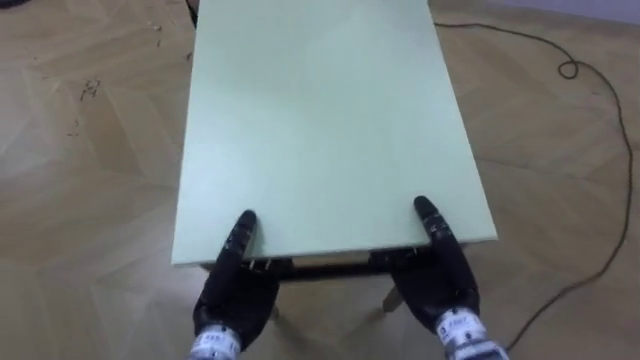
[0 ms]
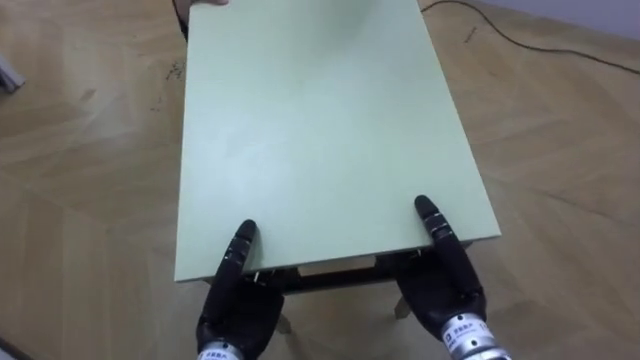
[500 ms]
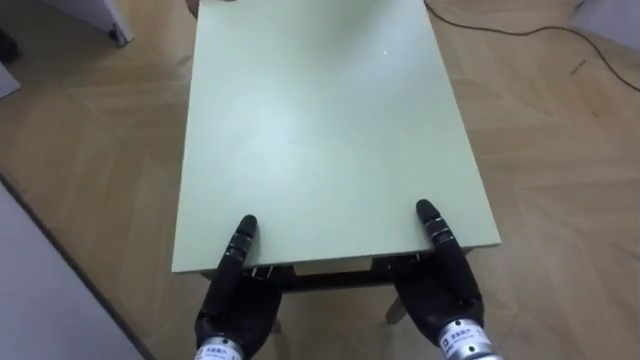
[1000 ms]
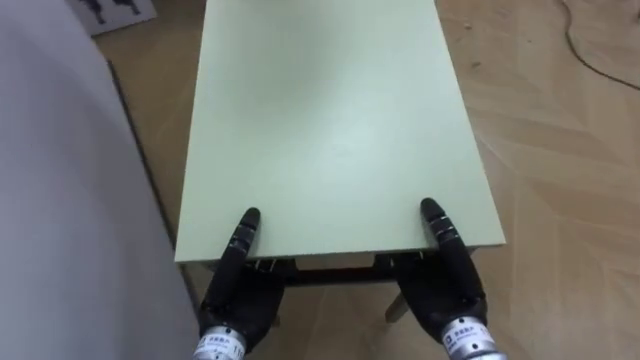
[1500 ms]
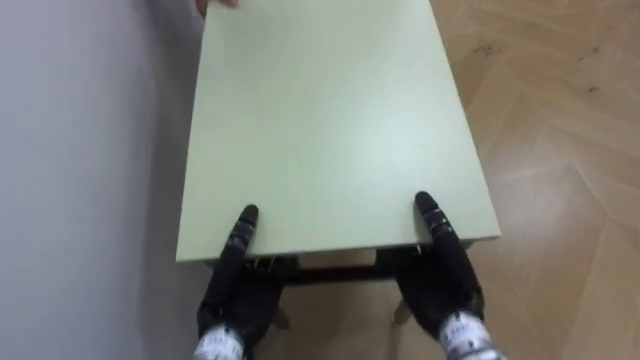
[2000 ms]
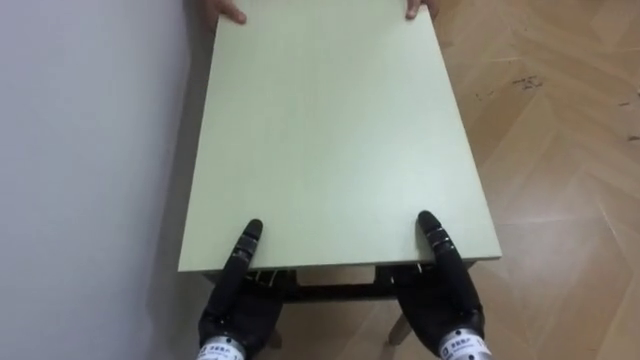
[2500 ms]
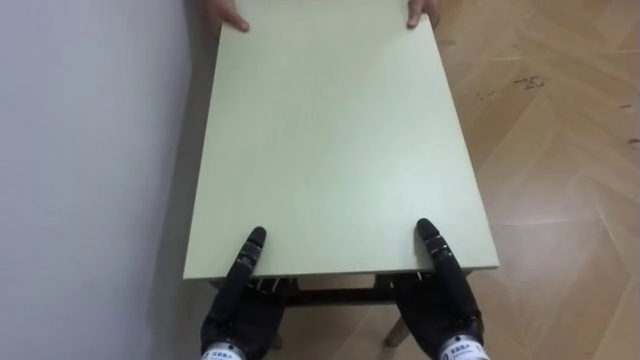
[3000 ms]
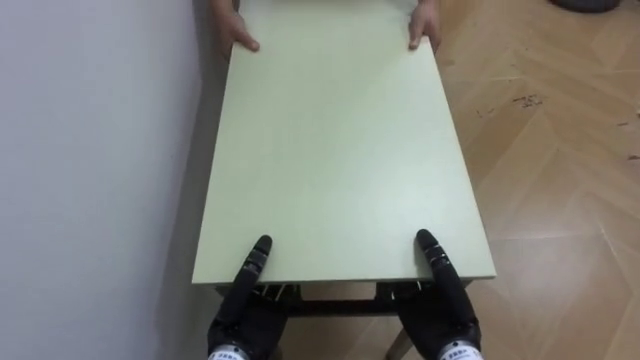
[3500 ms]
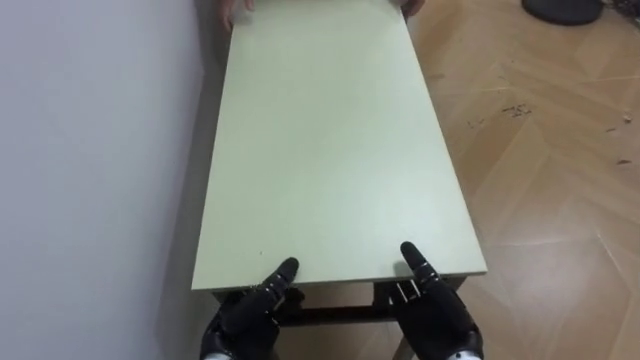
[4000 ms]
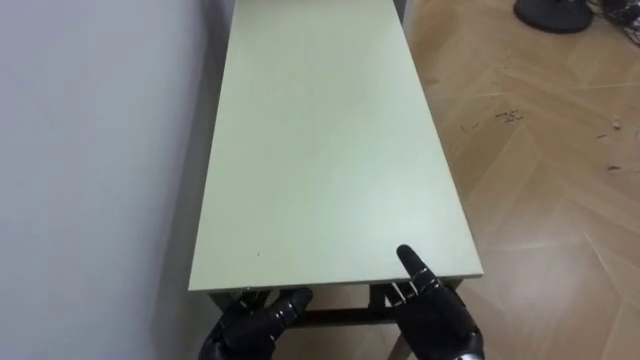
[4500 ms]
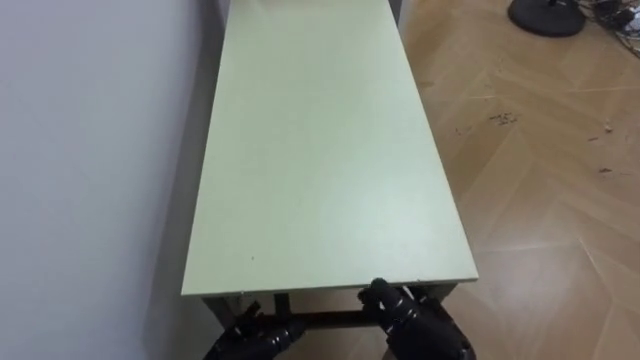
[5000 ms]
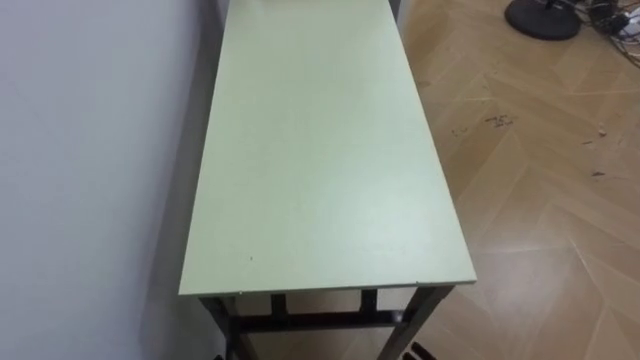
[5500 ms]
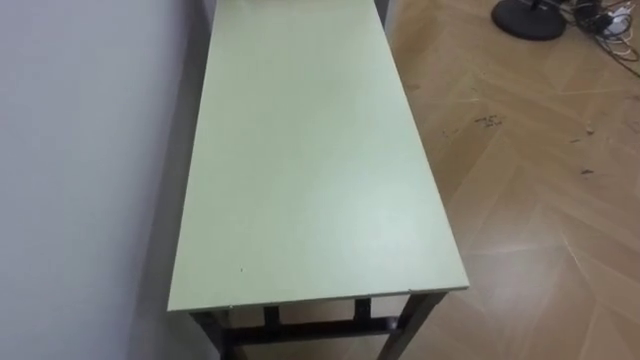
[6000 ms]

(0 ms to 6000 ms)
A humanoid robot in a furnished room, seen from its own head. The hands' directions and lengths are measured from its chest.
Task of the whole recording: Move the table to the back left with someone.
0 ms - 2000 ms: The robot rotates roughly 70 degrees to its left.
2000 ms - 4000 ms: Both hands travel together downward, roughly 5 cm. The right hand opens its fingers.

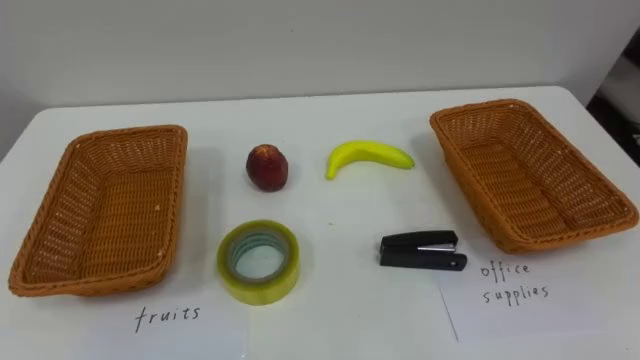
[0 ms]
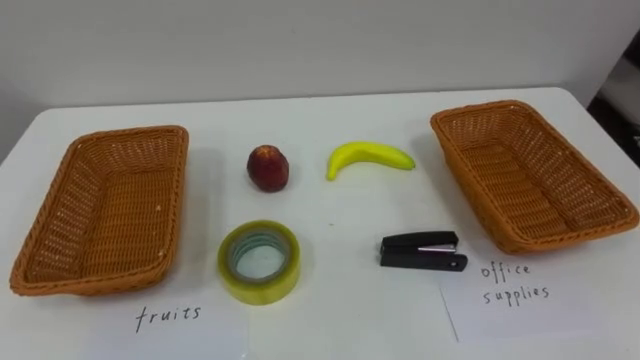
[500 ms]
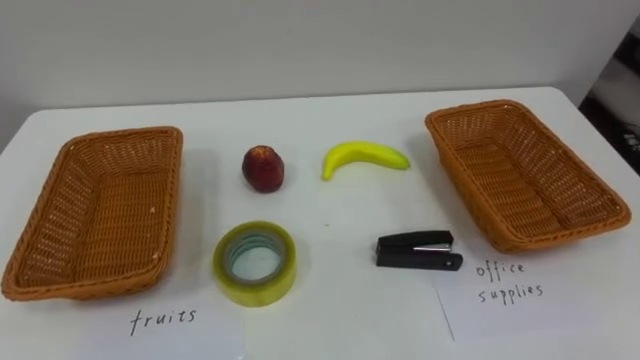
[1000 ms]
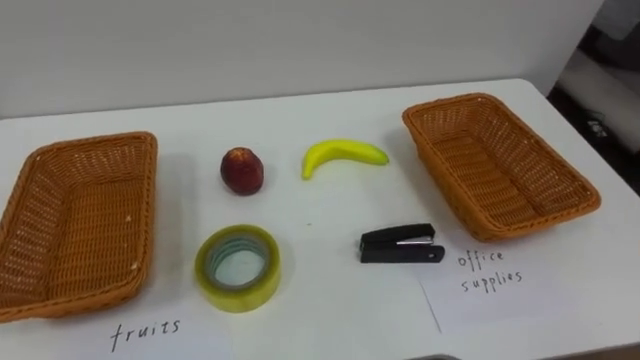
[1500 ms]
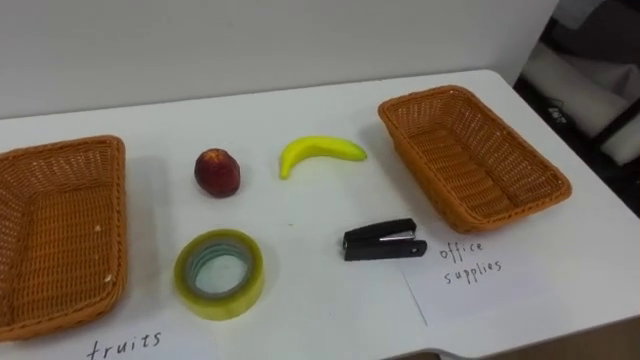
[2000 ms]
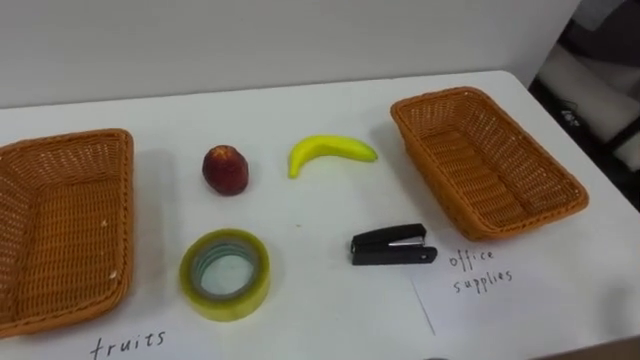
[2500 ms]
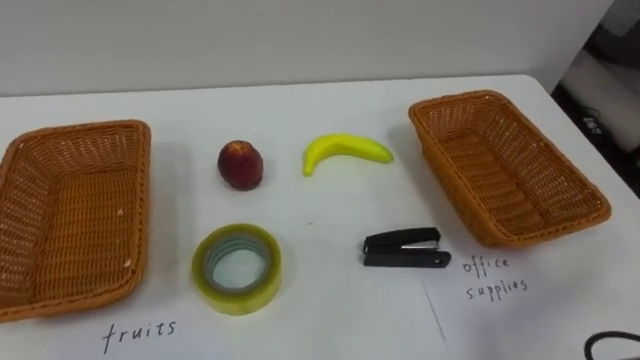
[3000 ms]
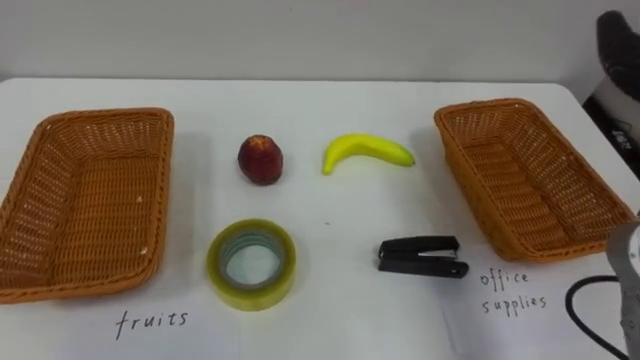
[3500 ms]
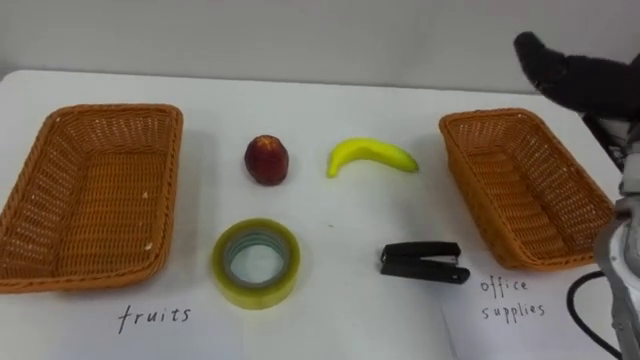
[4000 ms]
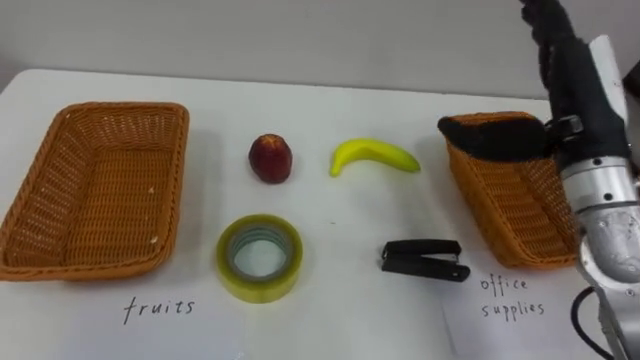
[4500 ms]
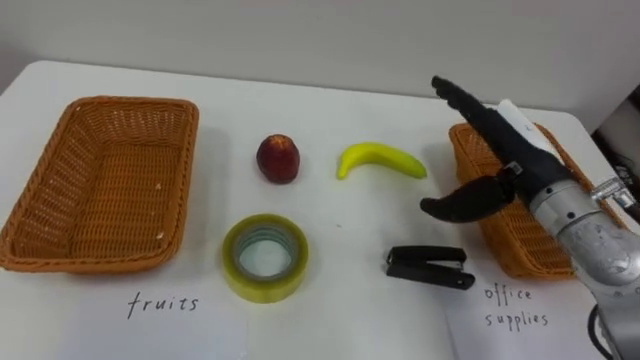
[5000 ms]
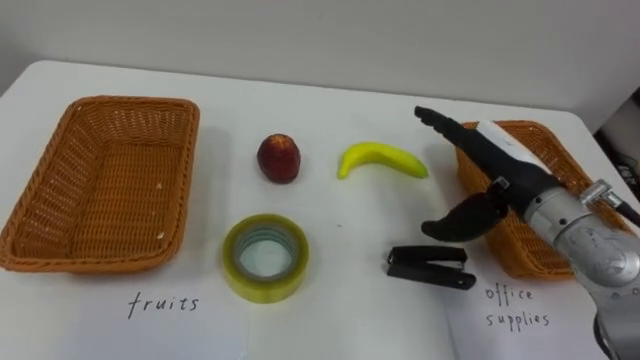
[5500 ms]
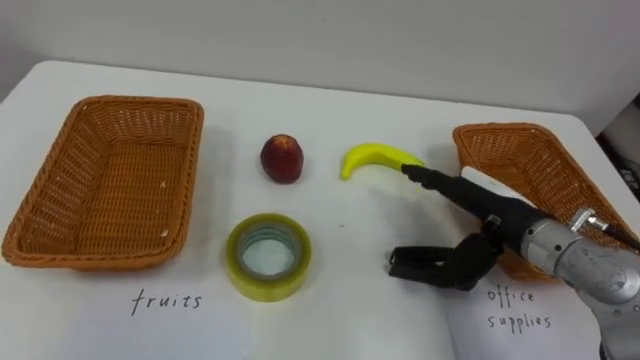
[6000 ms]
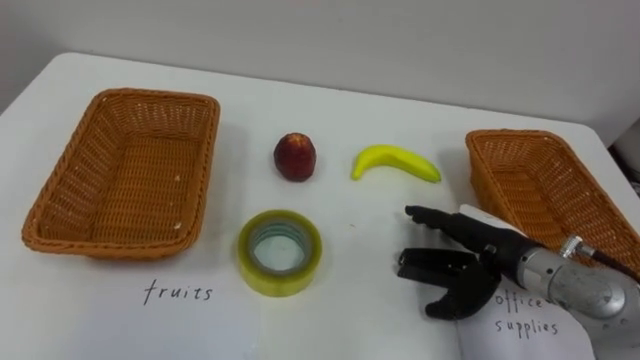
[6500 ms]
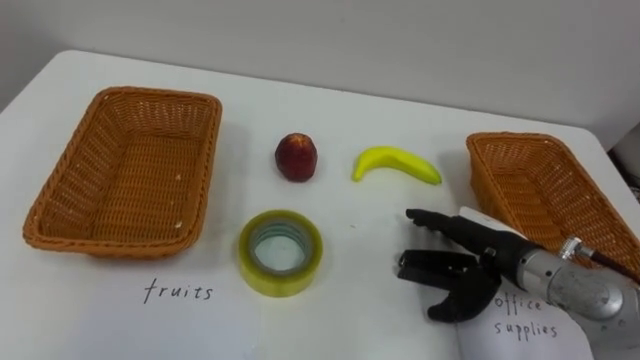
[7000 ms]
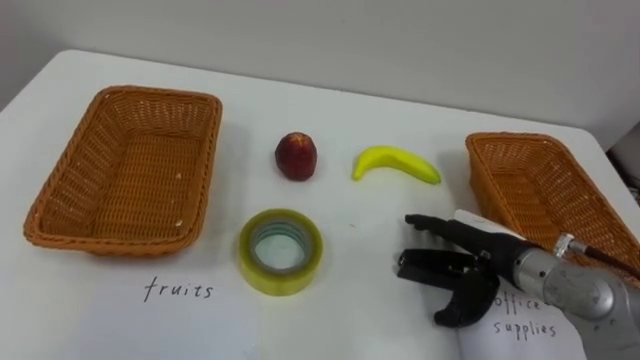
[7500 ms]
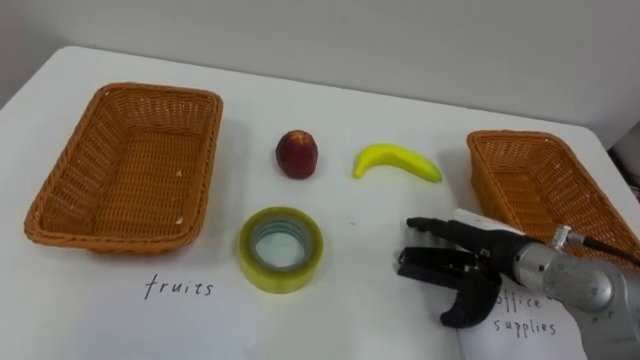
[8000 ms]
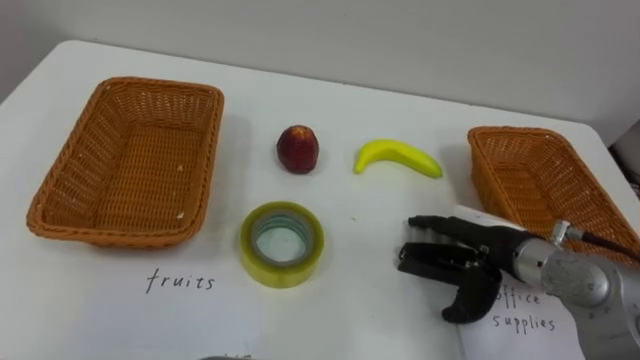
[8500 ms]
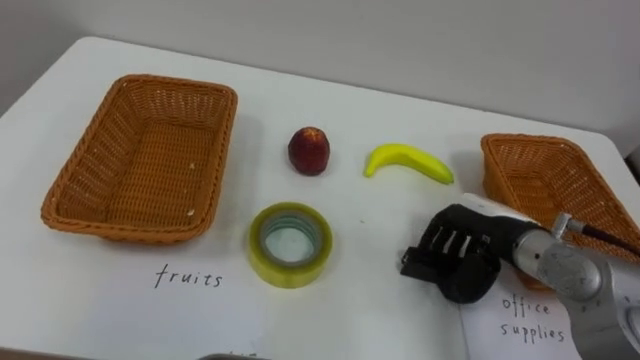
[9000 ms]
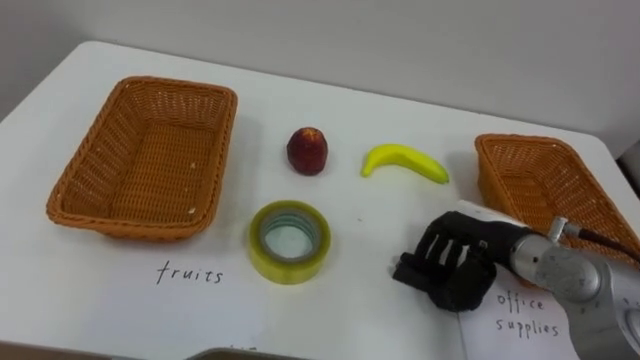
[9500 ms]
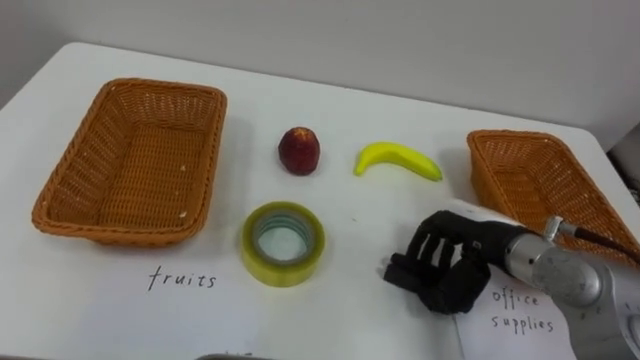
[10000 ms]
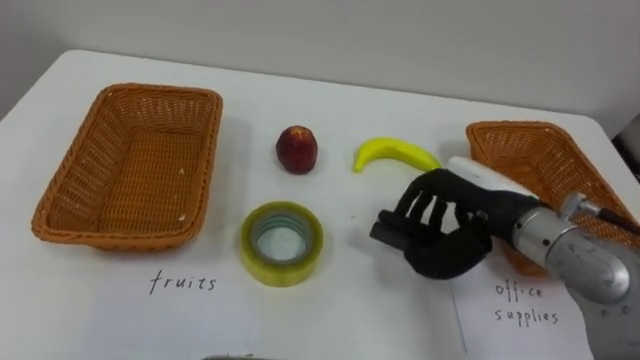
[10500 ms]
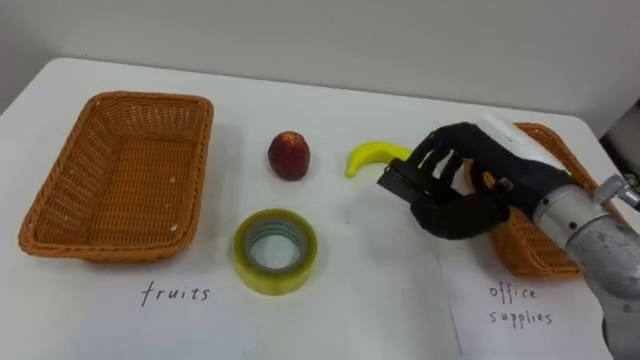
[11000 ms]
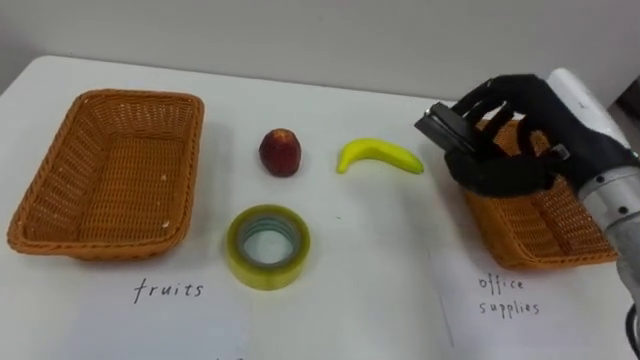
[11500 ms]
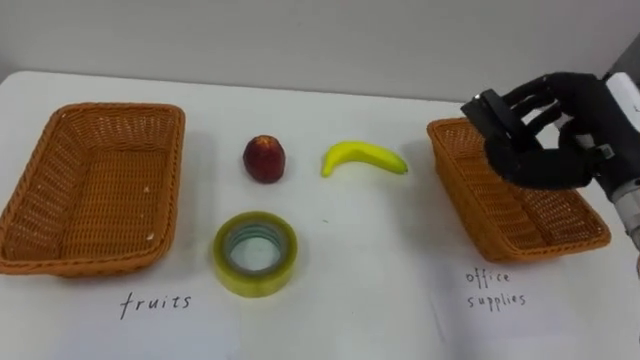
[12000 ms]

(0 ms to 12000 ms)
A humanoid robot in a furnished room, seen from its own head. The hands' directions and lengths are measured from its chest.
Task of the whole recording: Separate the items on the table and place them into the two baskets.
6000 ms - 8000 ms: The right hand shifts by about 5 cm.
8000 ms - 10000 ms: The right hand closes.
10000 ms - 12000 ms: The right hand moves upward and to the right, roughly 15 cm.

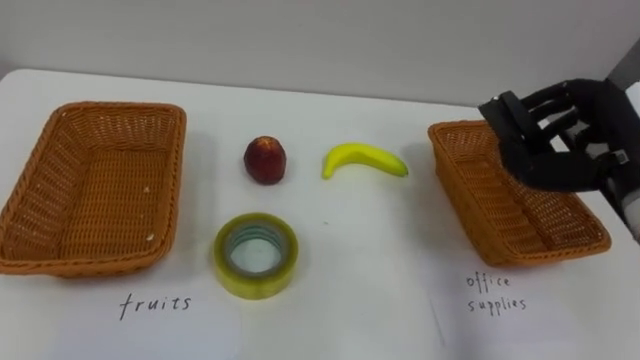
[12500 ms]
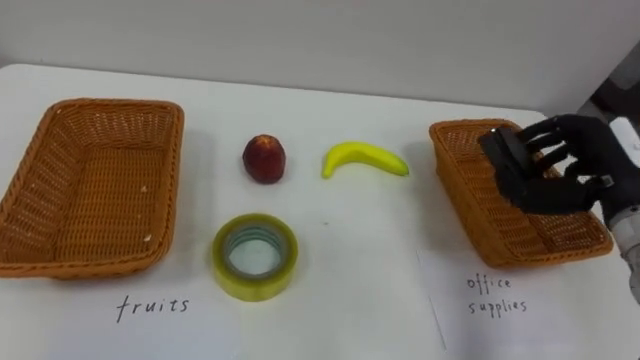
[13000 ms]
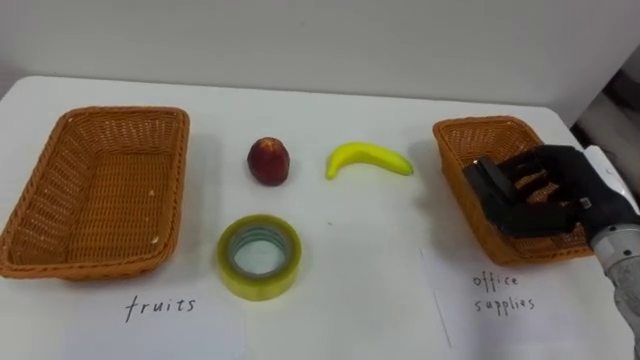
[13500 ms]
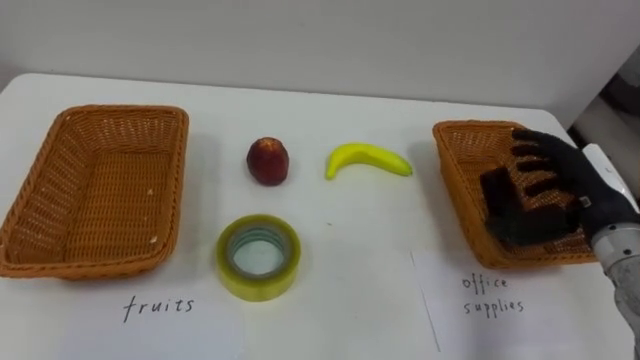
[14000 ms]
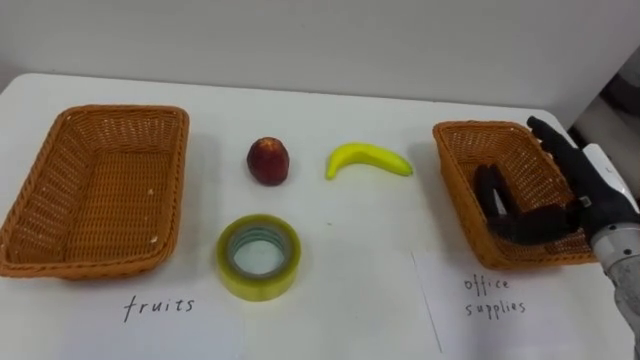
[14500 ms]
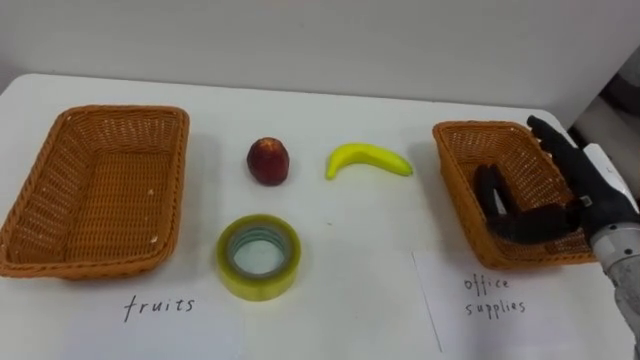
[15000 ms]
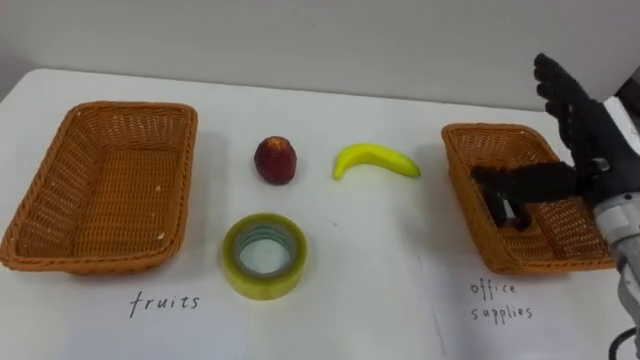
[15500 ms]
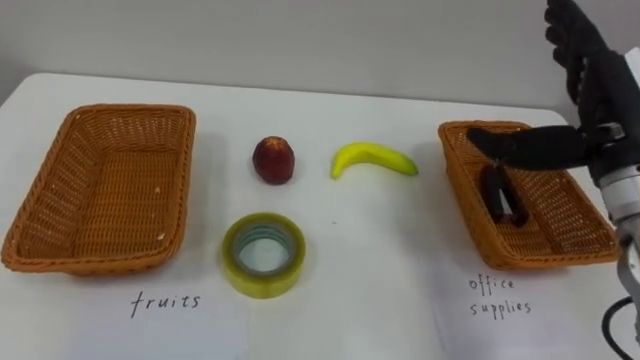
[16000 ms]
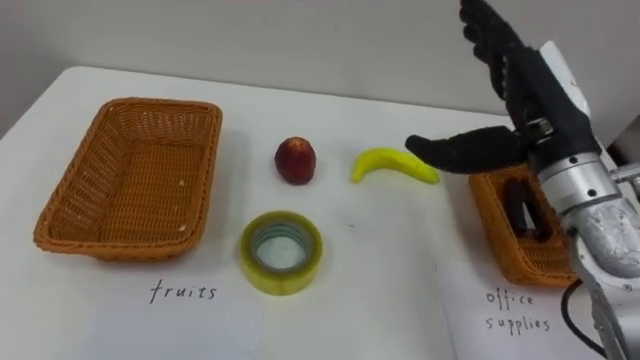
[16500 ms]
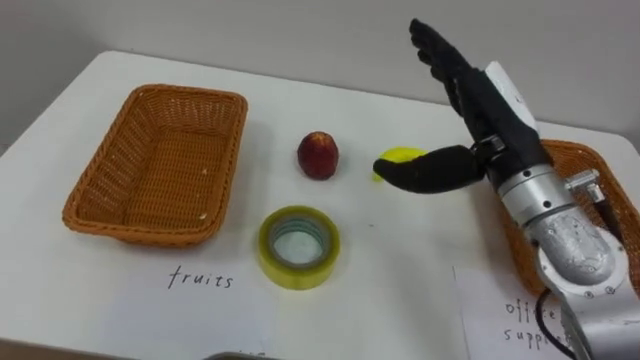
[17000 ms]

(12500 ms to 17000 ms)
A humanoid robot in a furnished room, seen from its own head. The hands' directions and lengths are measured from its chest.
Task of the whole recording: Separate the items on the table and place them into the two baskets.
12500 ms - 14500 ms: The right hand is displaced downward by approximately 10 cm, and opens up.
14500 ms - 17000 ms: The right hand is displaced to the left and upward by some 15 cm.
